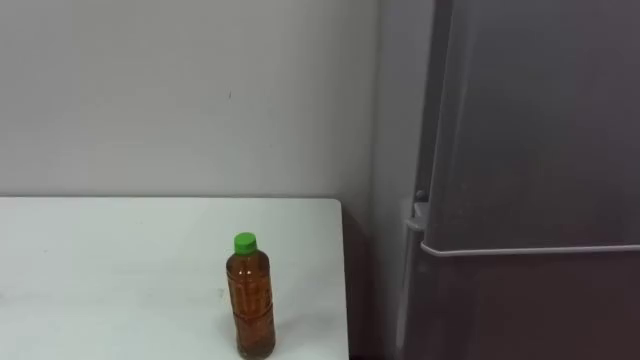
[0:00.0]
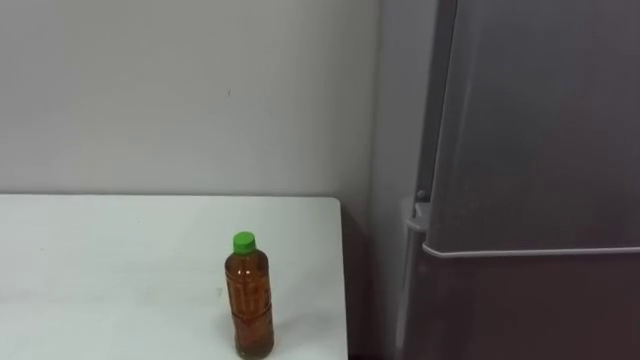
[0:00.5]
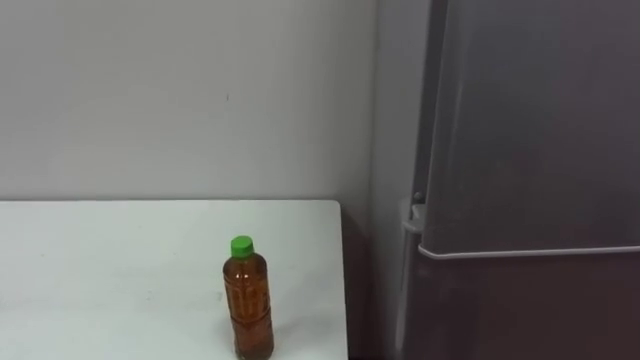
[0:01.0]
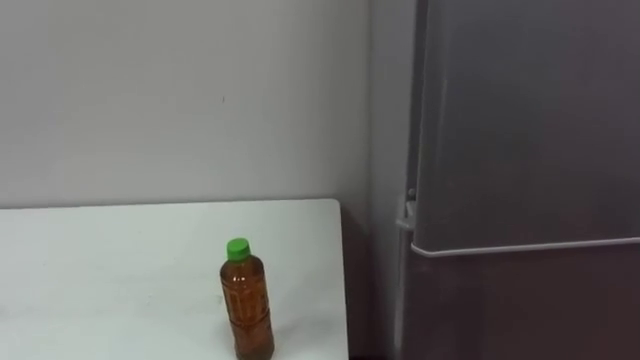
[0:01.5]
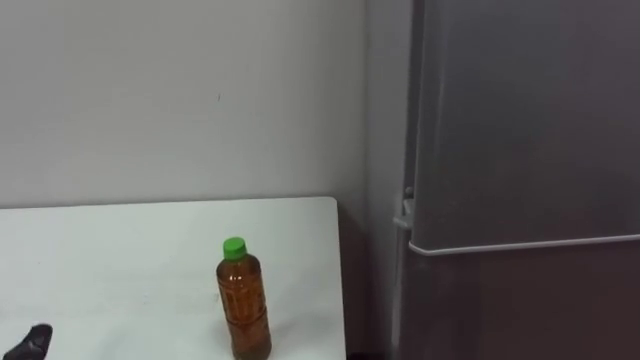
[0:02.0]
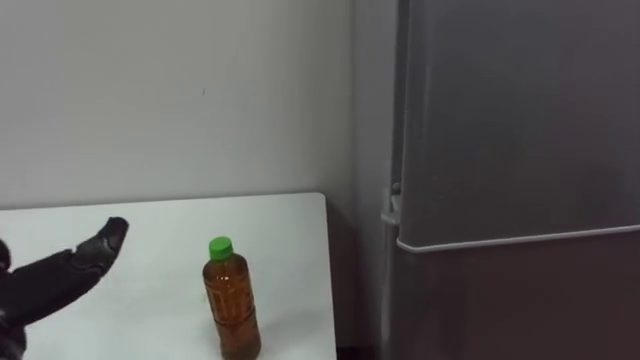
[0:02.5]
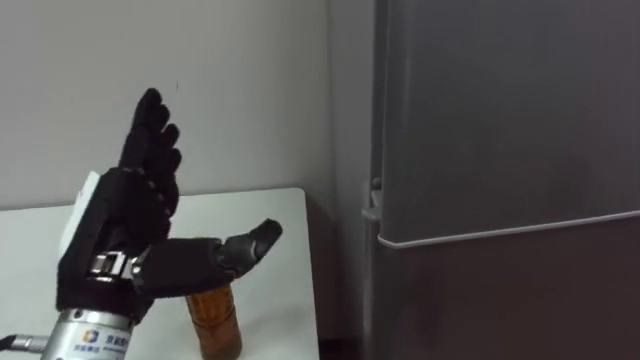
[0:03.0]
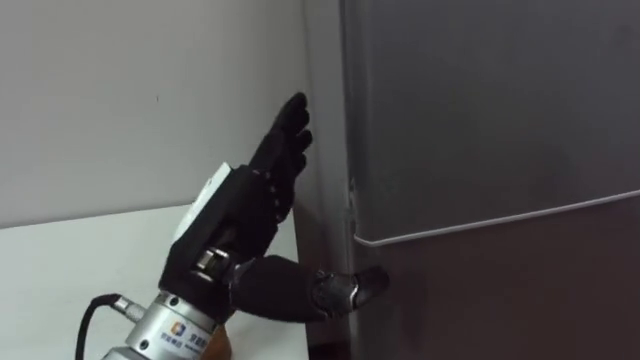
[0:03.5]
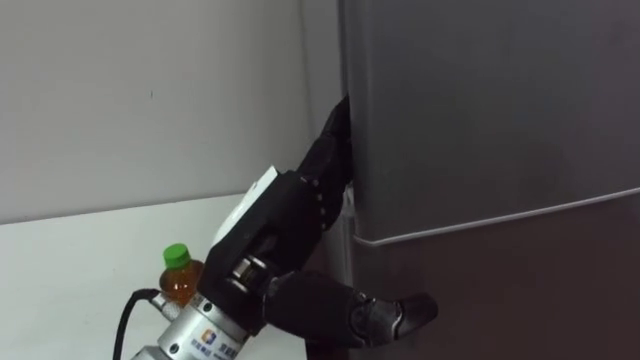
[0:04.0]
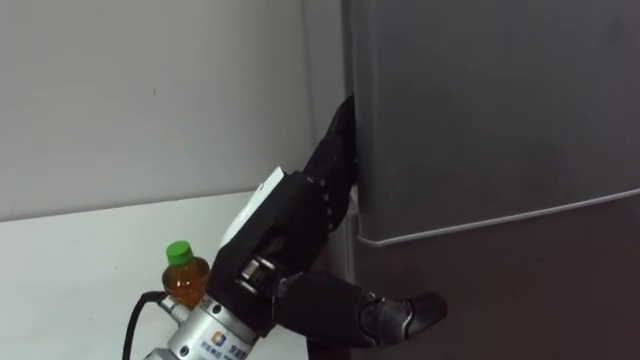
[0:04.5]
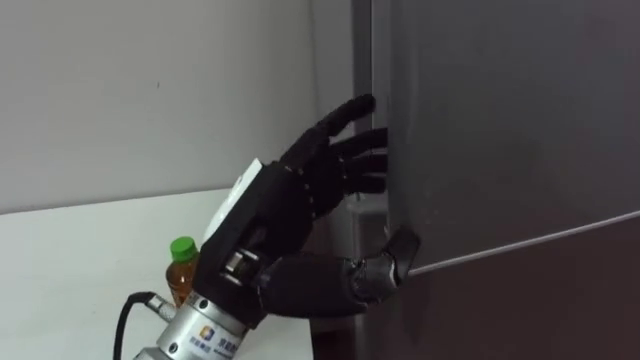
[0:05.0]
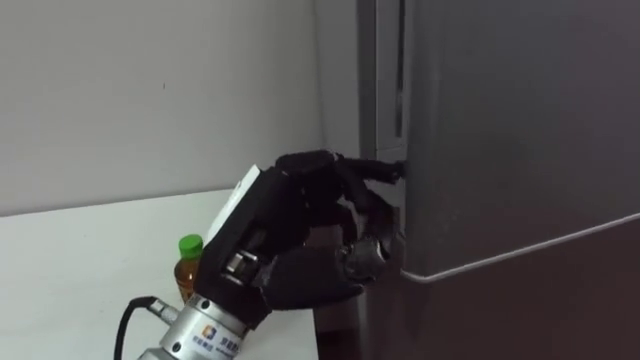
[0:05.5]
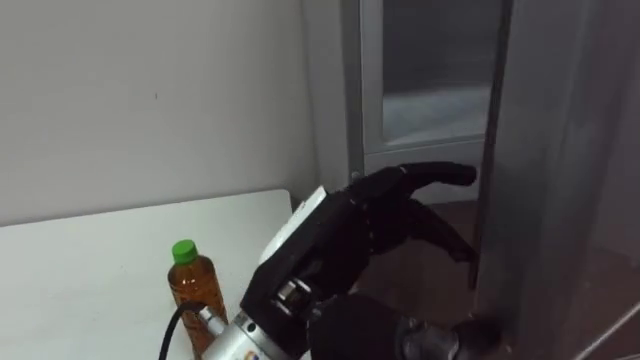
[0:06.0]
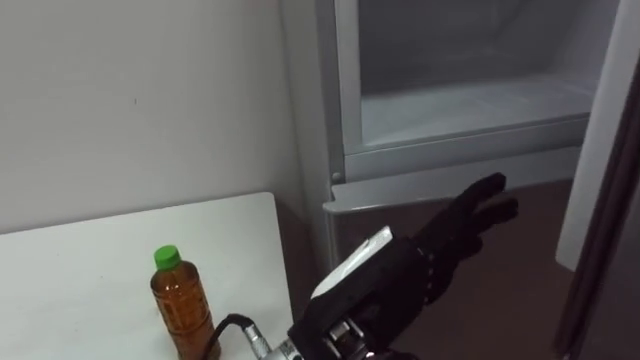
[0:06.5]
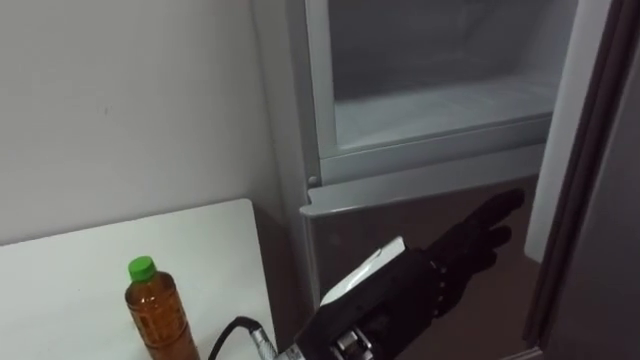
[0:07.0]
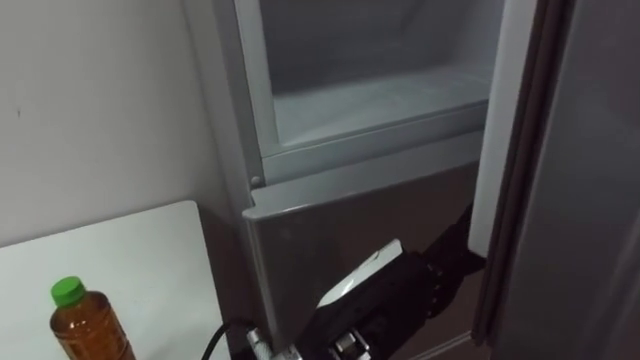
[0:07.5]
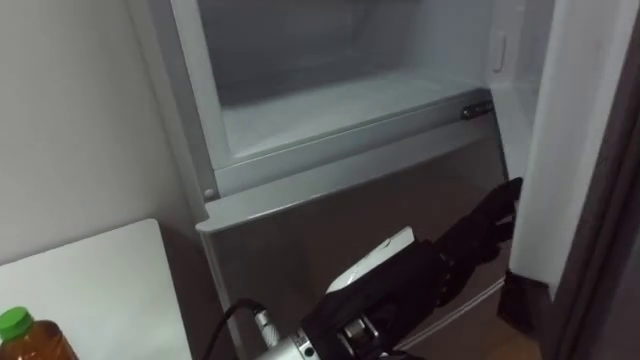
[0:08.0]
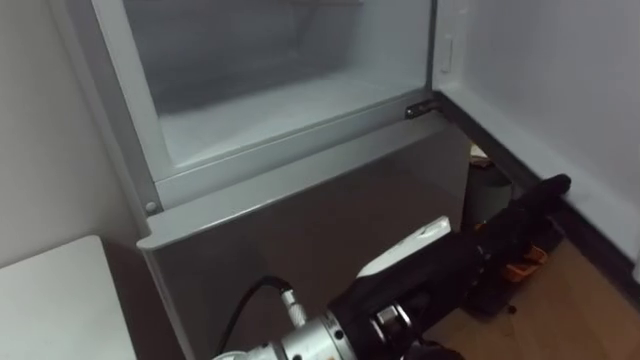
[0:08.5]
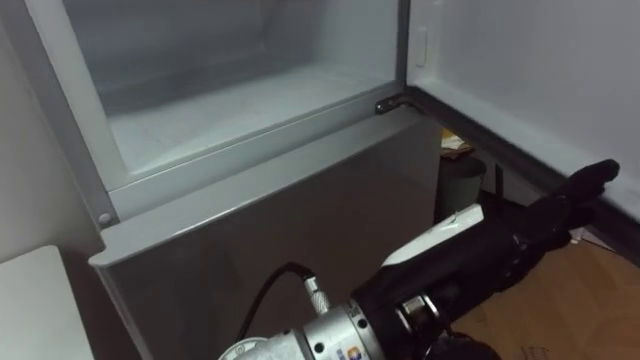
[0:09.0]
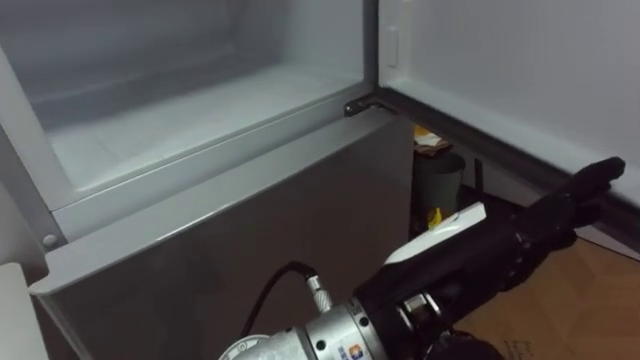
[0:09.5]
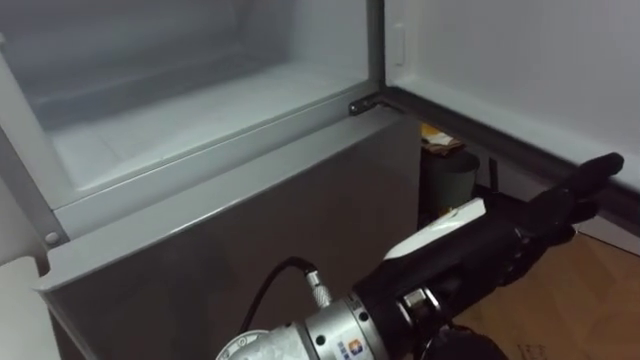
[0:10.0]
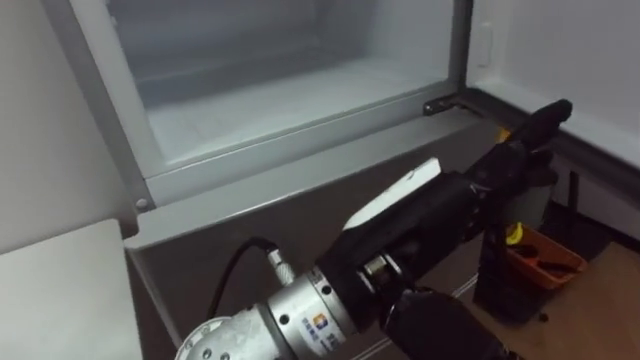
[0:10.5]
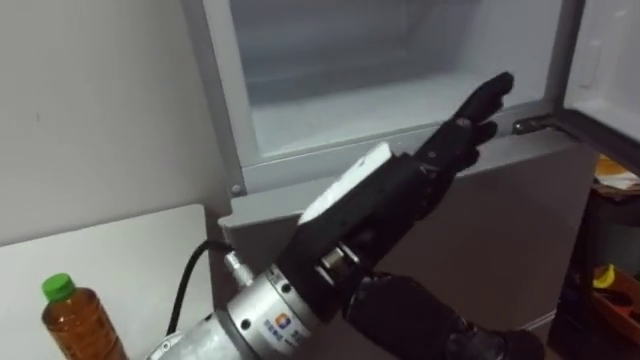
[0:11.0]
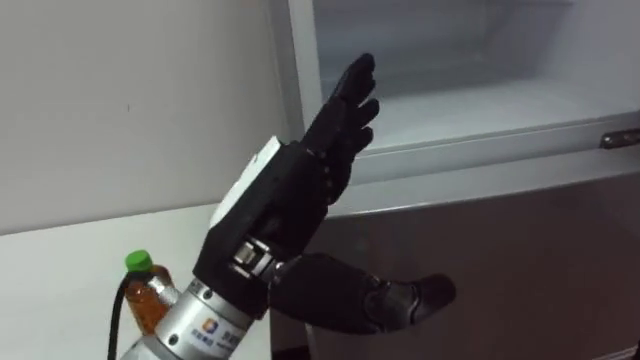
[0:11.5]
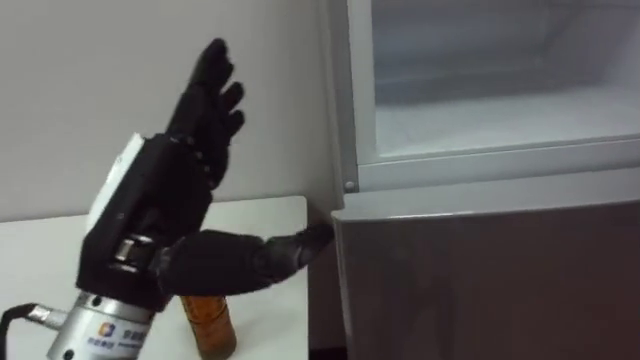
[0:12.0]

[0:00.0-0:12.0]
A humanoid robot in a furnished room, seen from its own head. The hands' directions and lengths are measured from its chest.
Task of the whole recording: Open the upper refrigerator door, put the drink from the table into the refrigerator, and then close the refrigerator door.
0:04.0 to 0:06.0: The left hand closes, then reopens.
0:06.0 to 0:08.0: The left hand moves to the right, approximately 5 cm.
0:10.0 to 0:12.0: The left hand goes roughly 20 cm to the left.

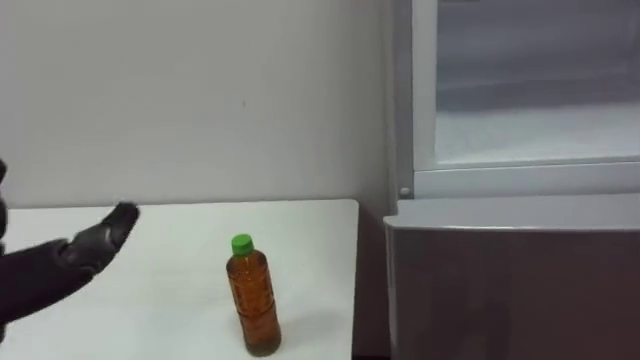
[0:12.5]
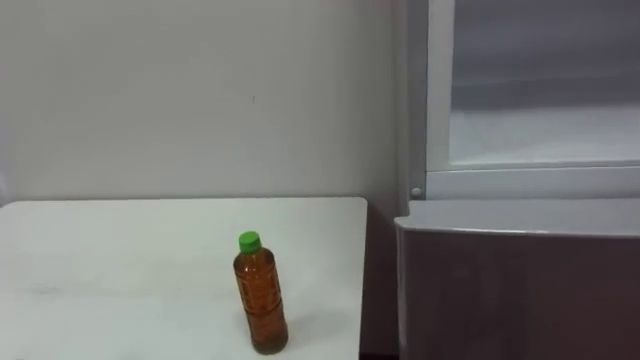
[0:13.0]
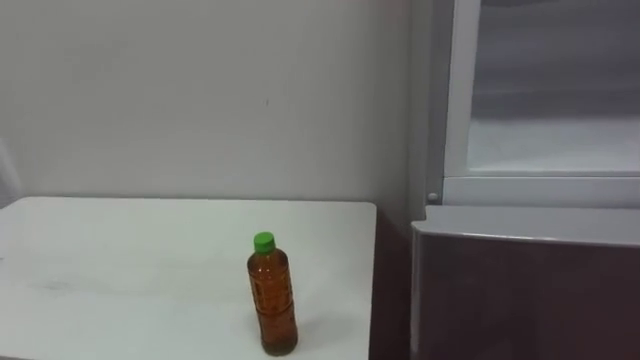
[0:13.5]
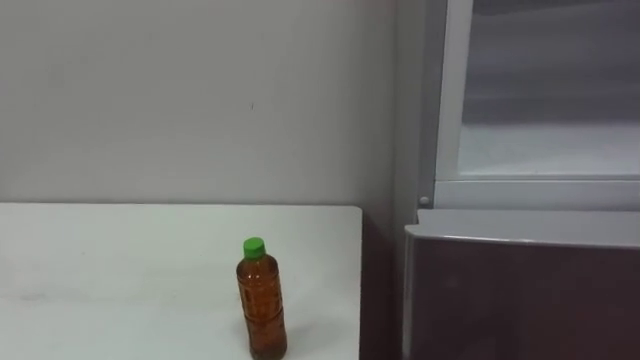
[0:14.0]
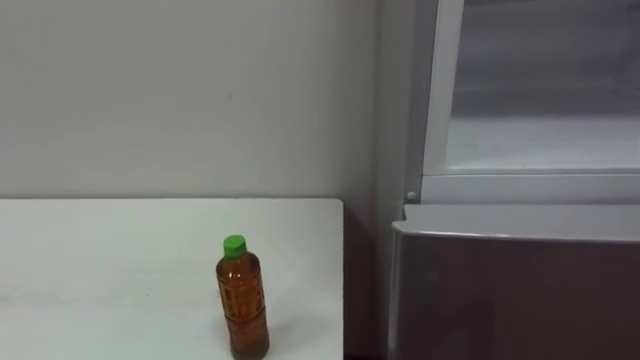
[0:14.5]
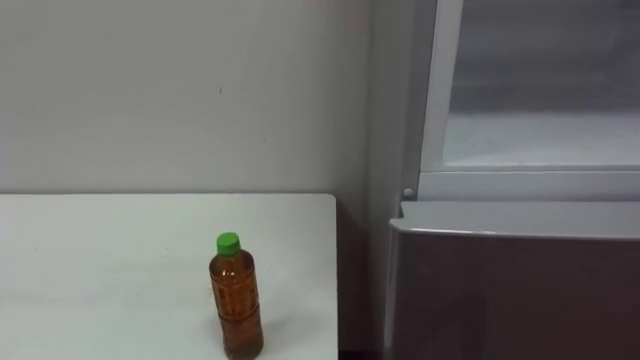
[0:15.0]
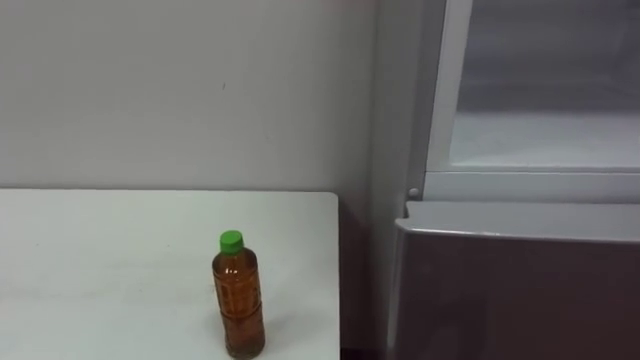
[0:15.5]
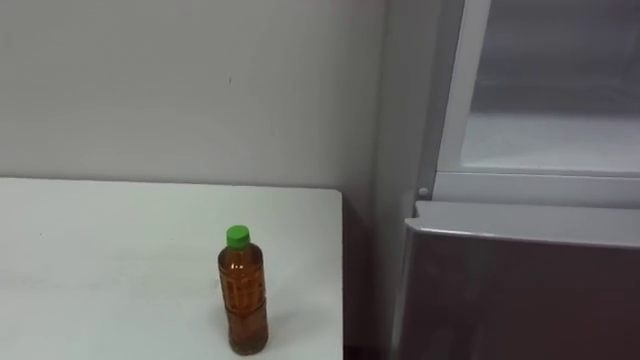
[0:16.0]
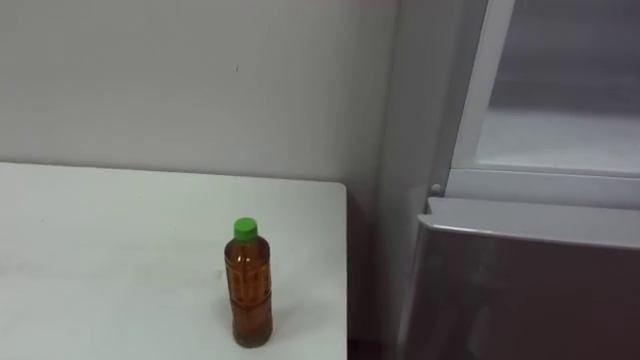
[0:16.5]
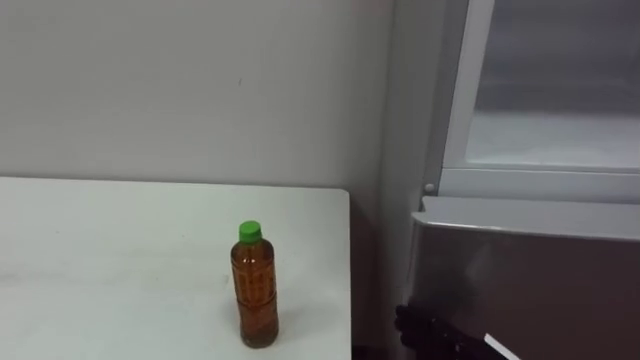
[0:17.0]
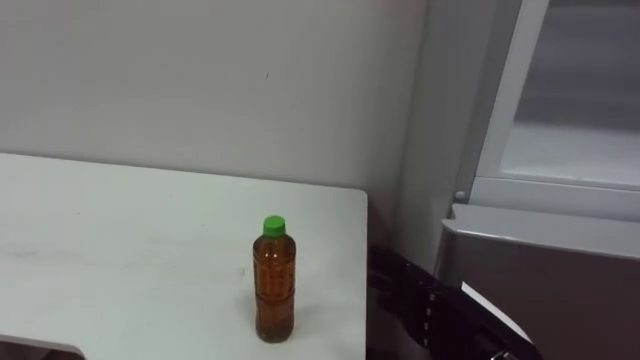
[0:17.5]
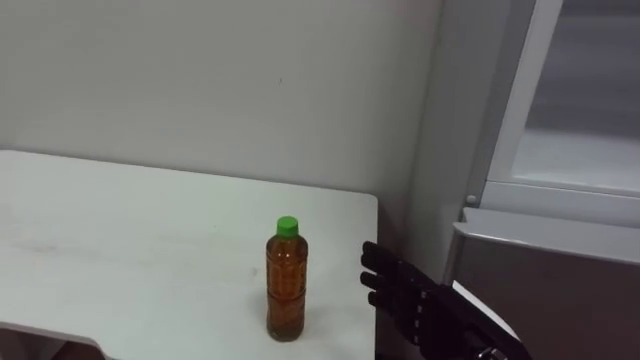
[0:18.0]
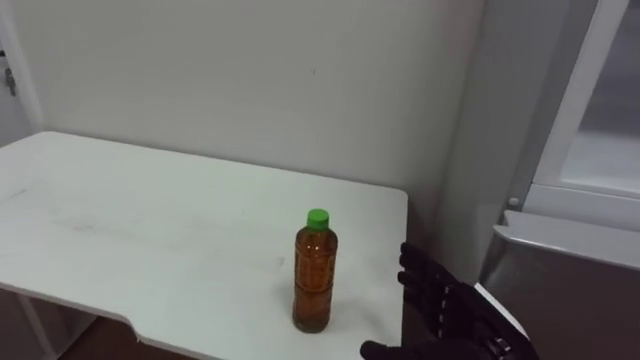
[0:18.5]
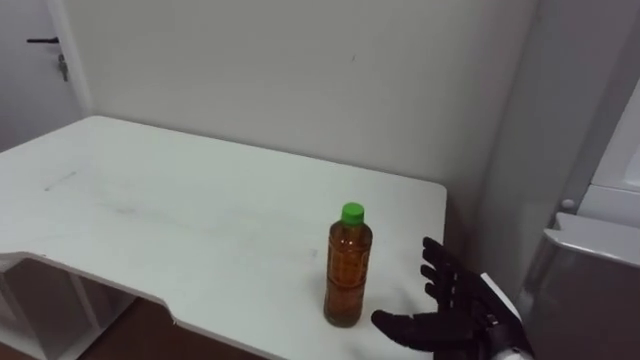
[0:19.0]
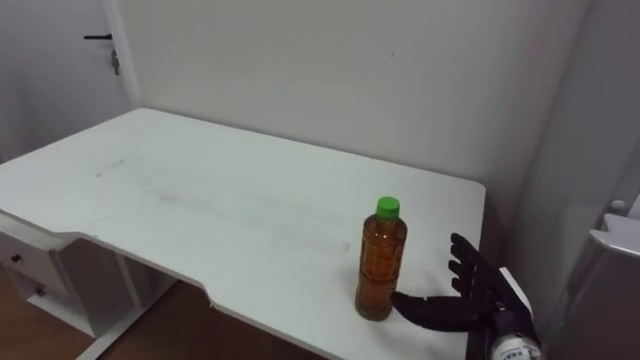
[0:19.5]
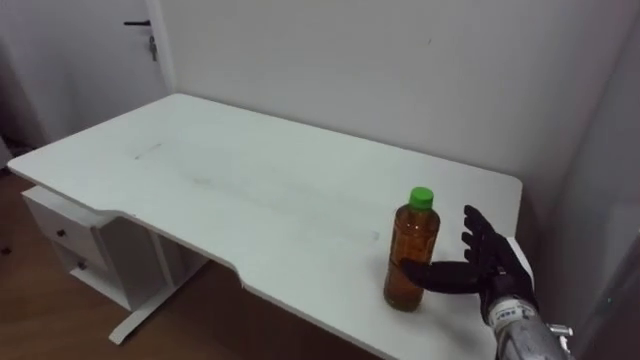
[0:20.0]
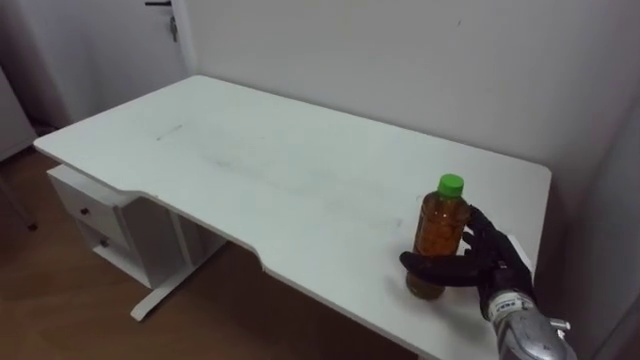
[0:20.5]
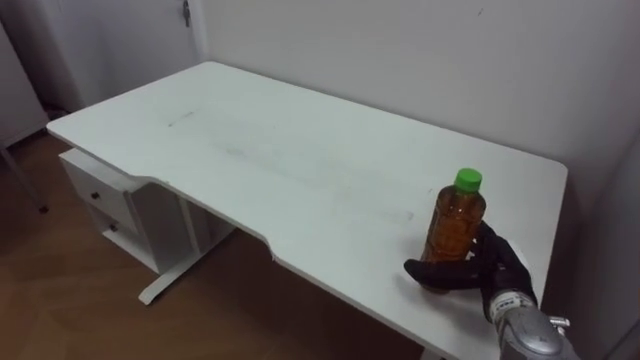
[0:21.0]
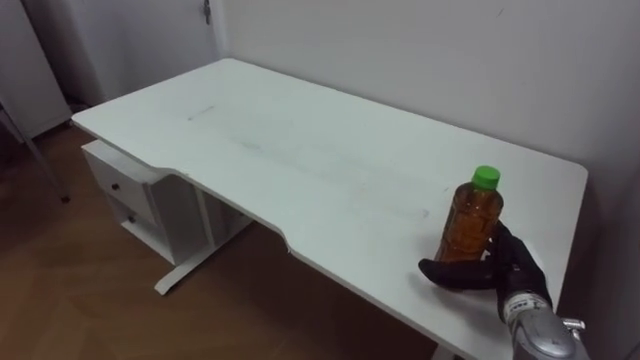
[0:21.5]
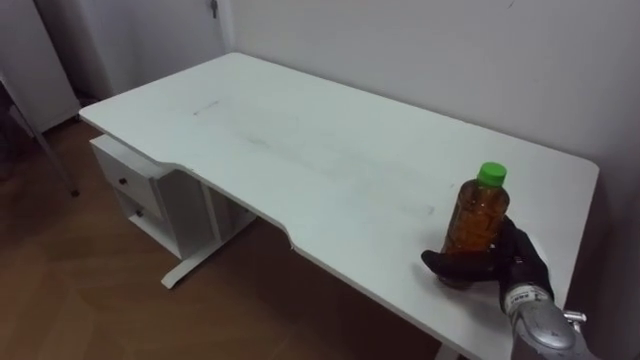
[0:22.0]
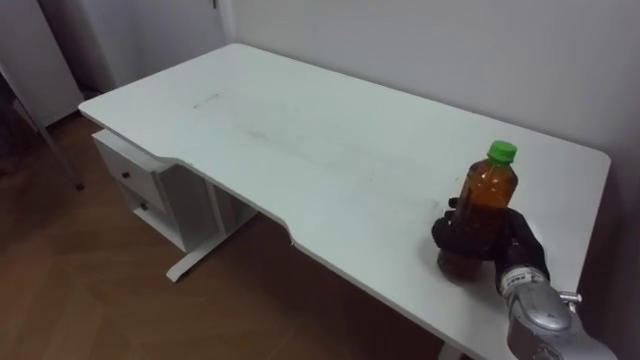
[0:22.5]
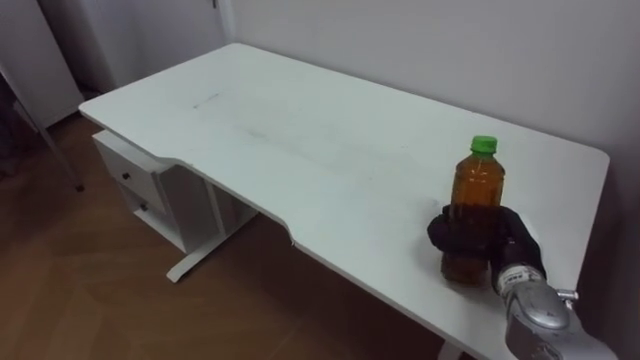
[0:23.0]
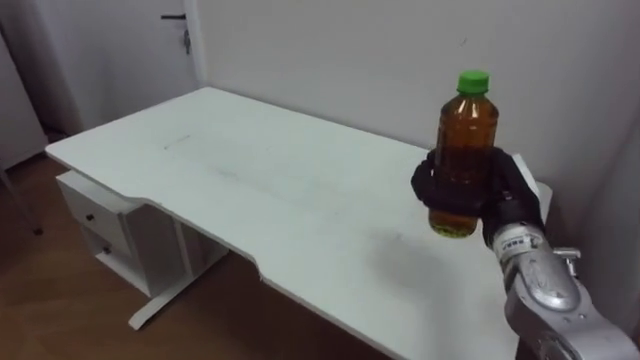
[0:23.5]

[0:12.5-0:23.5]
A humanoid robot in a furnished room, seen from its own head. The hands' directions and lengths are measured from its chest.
Task of the whole recording: Open the upper refrigerator door, put the drink from the table into the refrigerator, and then close the refrigerator door.
0:18.0 to 0:20.0: The right hand heads forward and to the right, covering roughly 15 cm.
0:21.5 to 0:23.5: The right hand goes some 10 cm upward, and closes its fingers.
